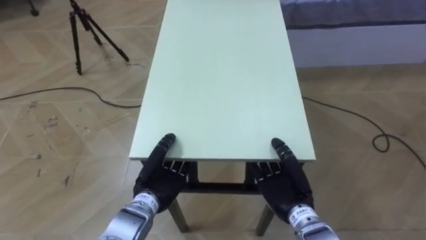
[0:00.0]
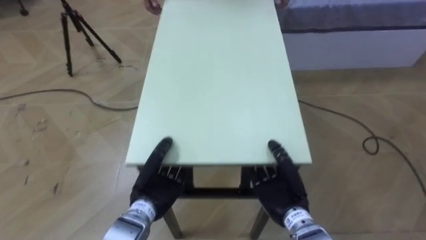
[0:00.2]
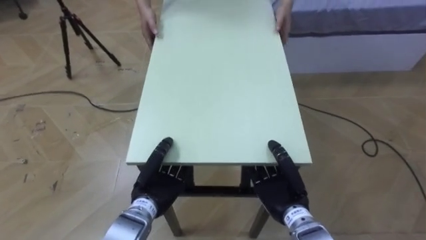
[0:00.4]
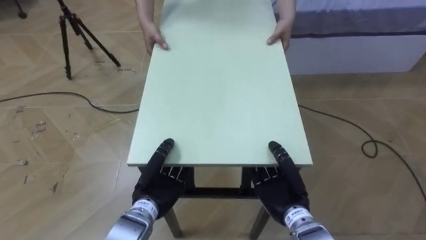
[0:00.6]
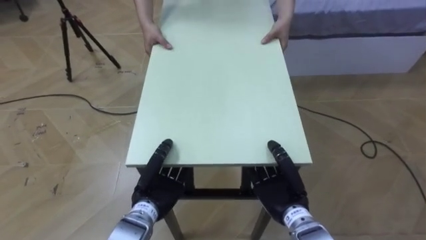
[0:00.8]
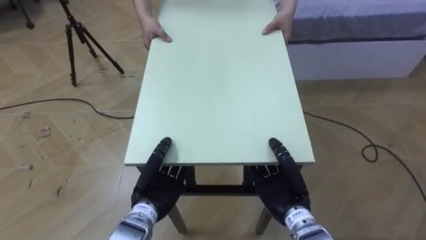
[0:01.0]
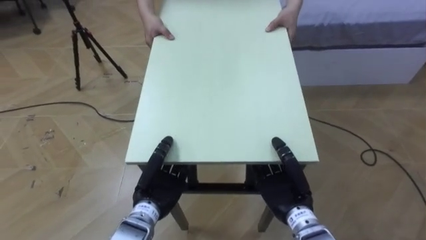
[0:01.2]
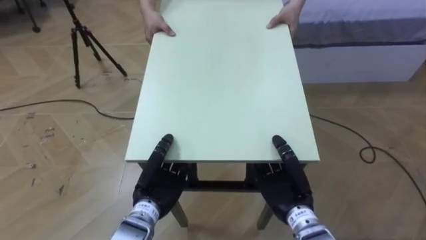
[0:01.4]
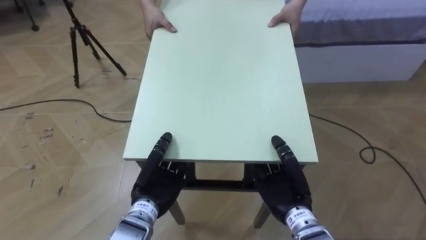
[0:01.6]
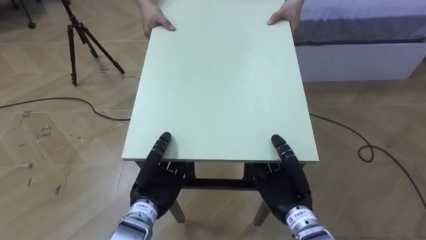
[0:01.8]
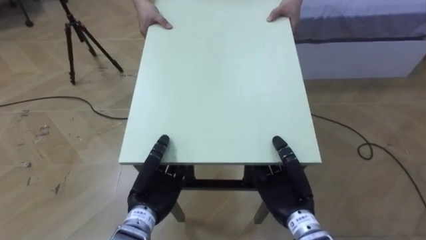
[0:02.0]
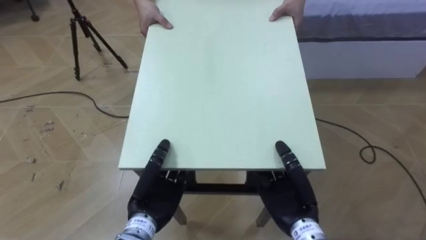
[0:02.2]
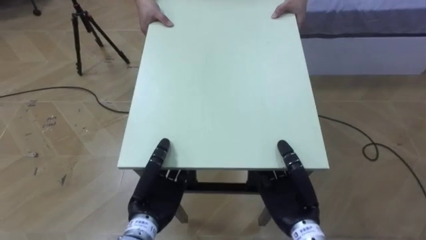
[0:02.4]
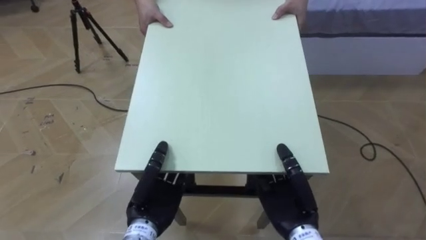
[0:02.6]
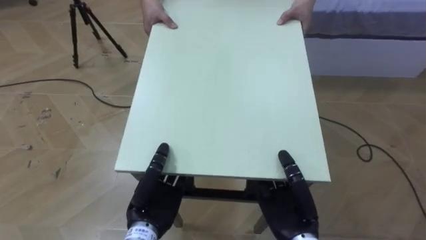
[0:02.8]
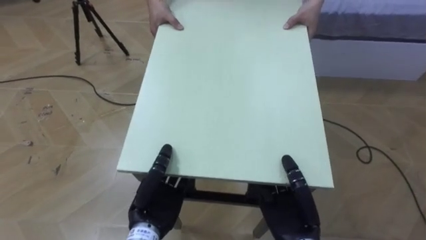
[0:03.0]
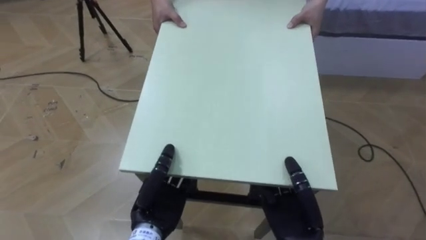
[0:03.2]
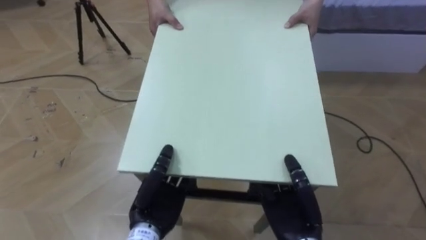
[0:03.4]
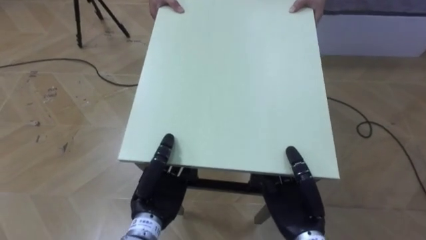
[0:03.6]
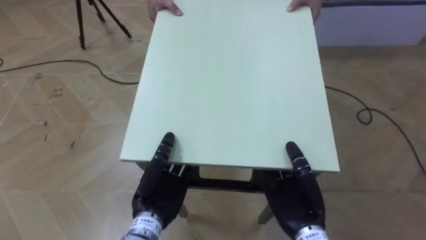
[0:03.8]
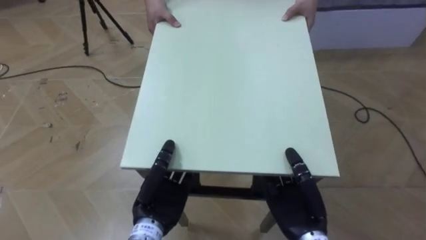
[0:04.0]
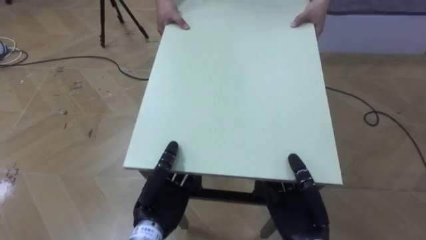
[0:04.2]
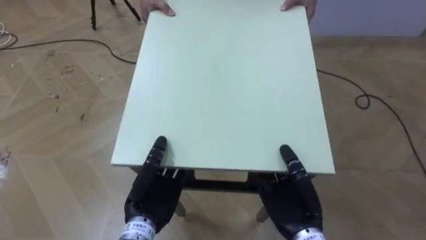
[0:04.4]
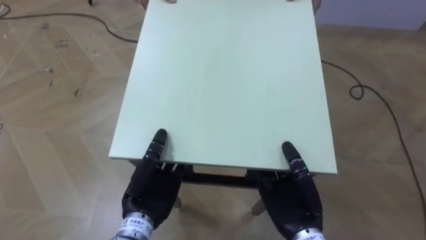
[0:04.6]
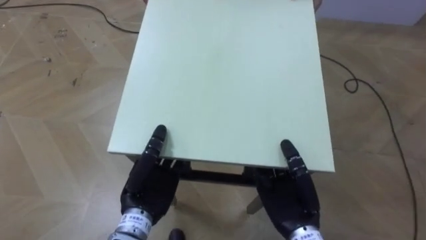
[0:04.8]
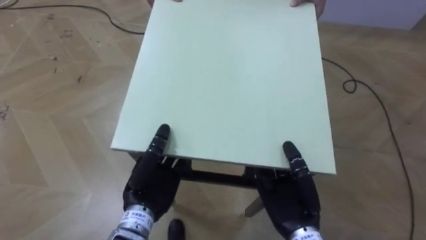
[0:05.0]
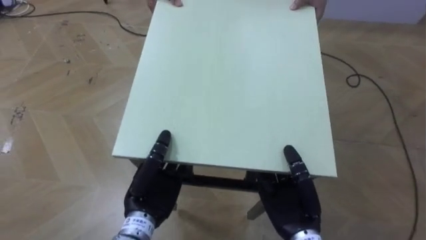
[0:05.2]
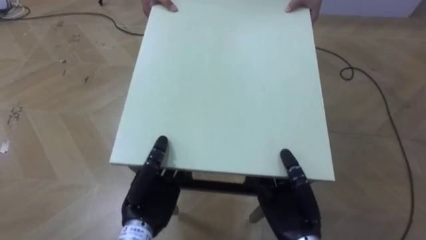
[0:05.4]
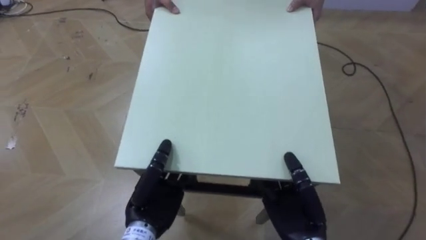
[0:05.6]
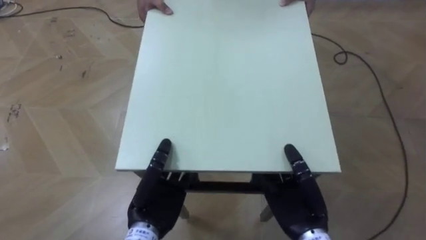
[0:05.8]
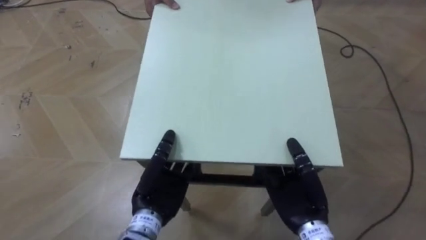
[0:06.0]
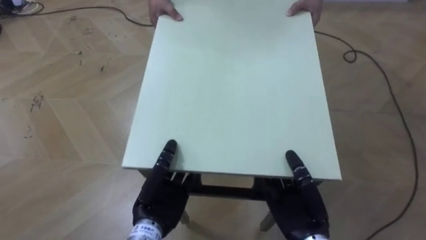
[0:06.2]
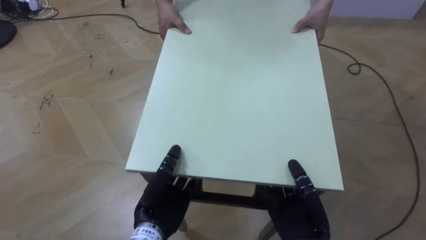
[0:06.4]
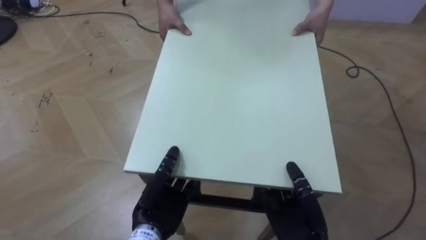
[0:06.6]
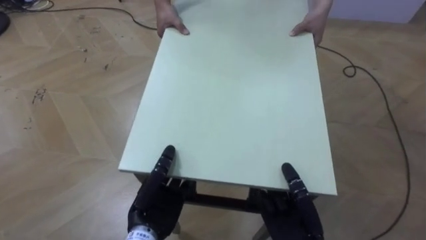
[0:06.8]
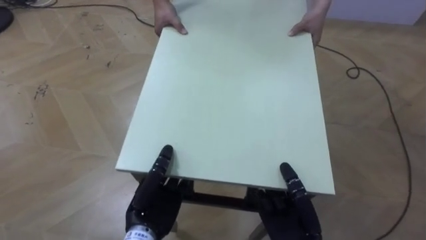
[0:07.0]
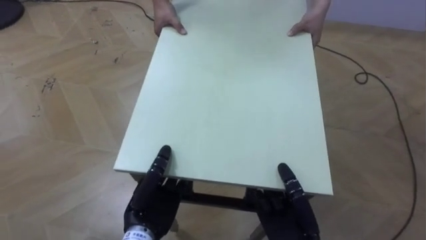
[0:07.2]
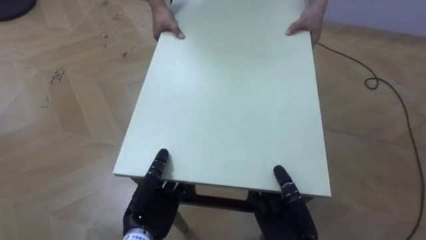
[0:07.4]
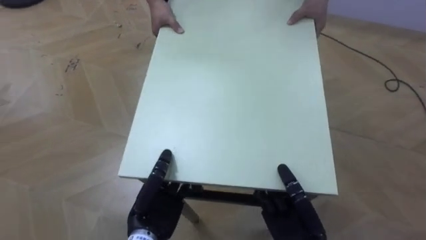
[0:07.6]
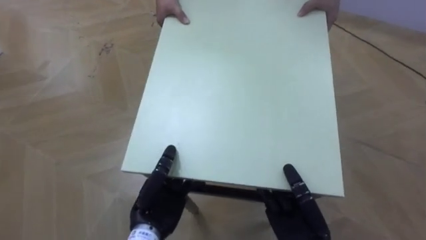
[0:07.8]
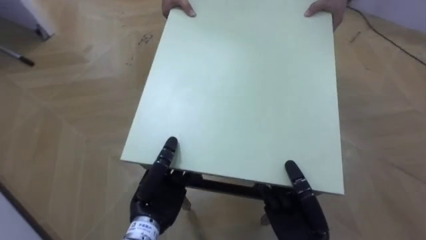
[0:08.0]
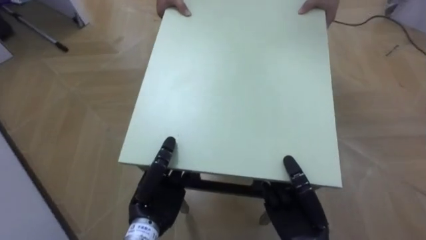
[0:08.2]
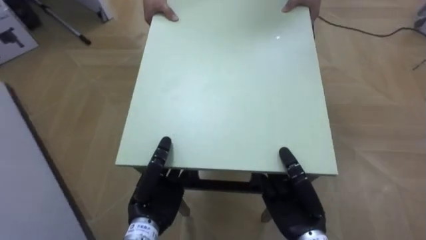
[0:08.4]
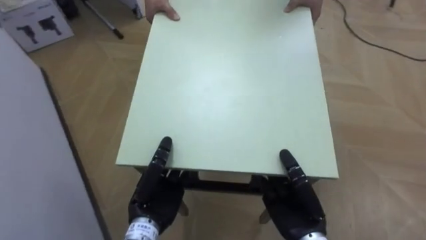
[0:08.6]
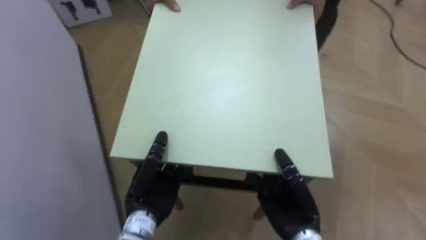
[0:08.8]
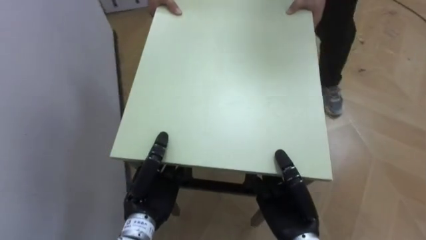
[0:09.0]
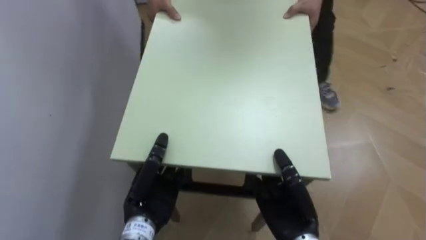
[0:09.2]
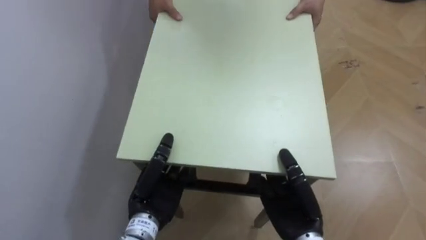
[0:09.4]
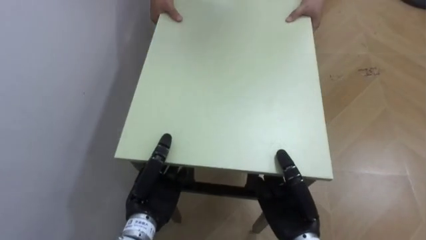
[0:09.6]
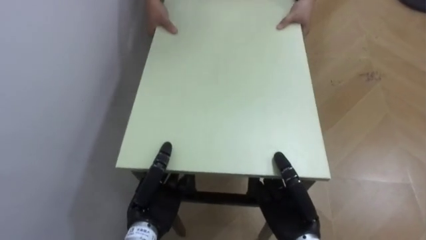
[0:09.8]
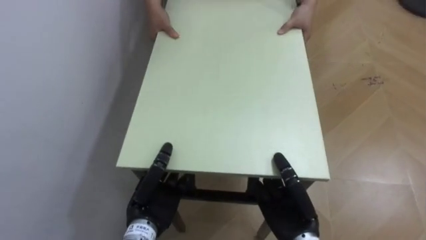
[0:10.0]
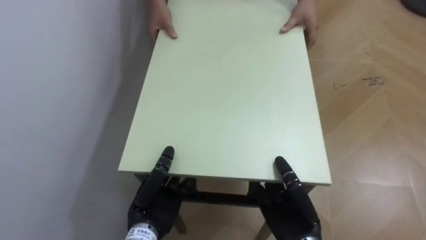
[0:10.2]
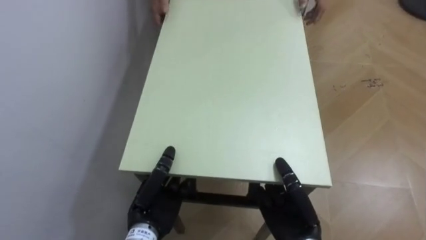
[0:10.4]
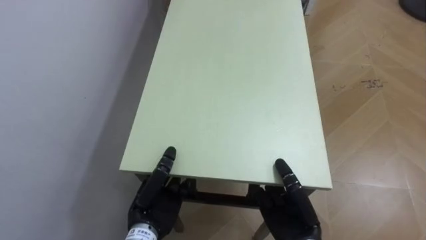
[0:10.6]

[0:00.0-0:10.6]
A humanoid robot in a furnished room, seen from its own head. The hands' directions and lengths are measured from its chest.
Task of the whole recording: Move the table to the back left with someone.
0:07.6 to 0:09.0: The robot's body swings about 55 degrees to its left.
0:09.0 to 0:10.6: The robot rotates roughly 25 degrees to its left.

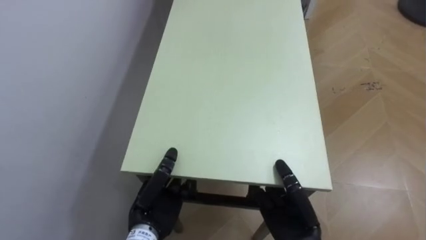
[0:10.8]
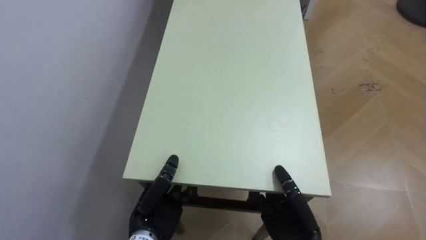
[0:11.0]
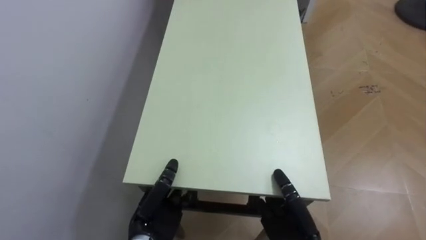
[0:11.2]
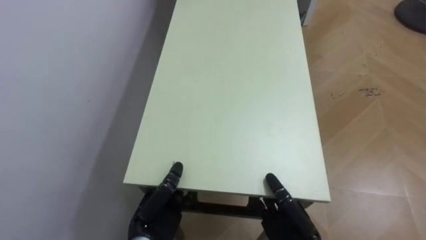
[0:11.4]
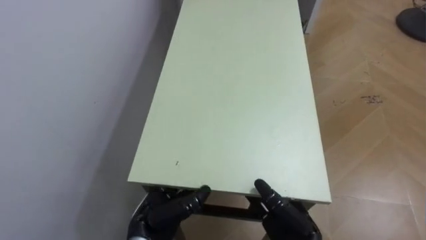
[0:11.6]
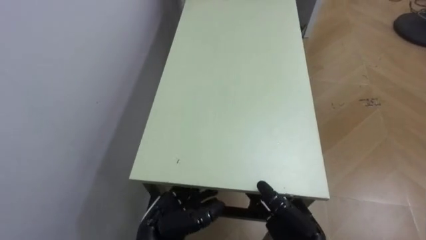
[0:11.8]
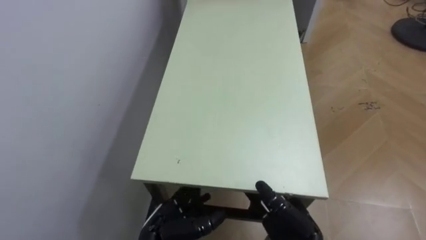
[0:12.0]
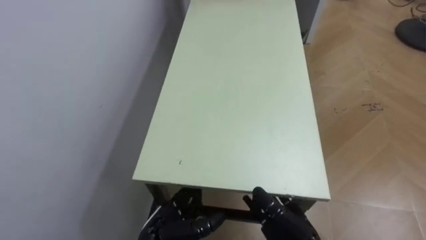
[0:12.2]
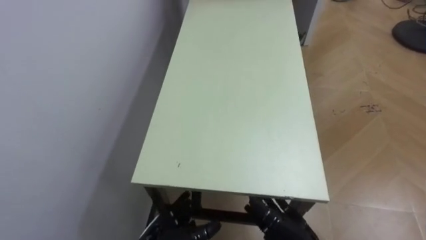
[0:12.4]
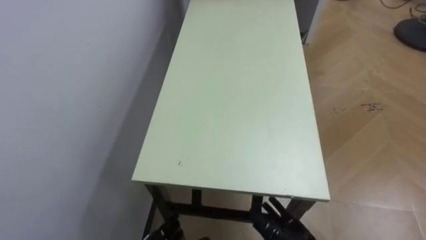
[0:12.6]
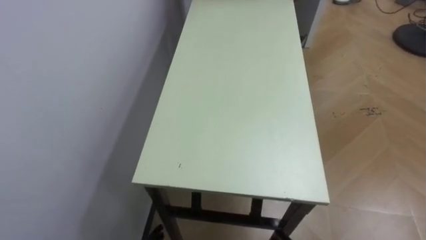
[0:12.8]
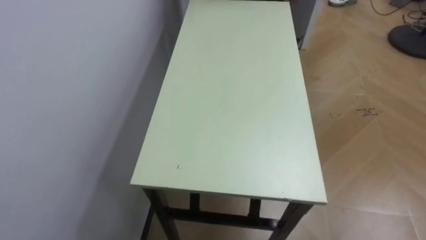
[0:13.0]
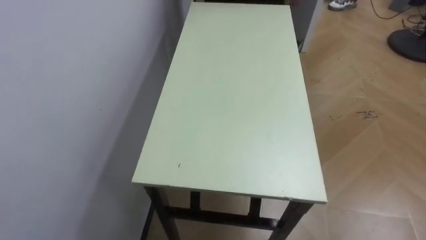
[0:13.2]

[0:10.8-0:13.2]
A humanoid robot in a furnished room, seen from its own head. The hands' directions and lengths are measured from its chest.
Task of the whole recording: Move the table to the back left with someone.
0:10.8 to 0:12.0: The left hand ends up some 5 cm from where it was, and opens; the right hand opens up.

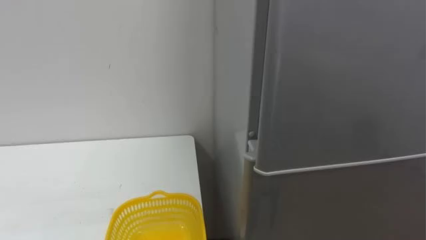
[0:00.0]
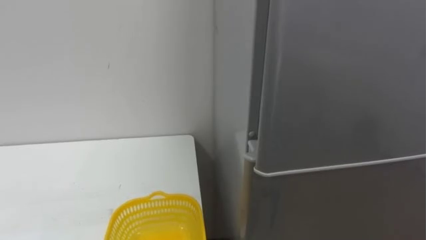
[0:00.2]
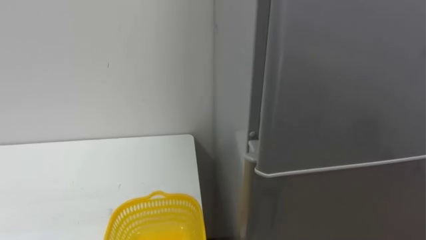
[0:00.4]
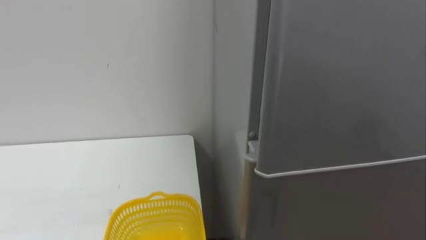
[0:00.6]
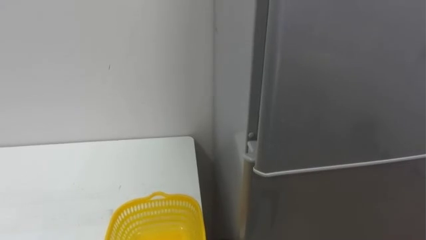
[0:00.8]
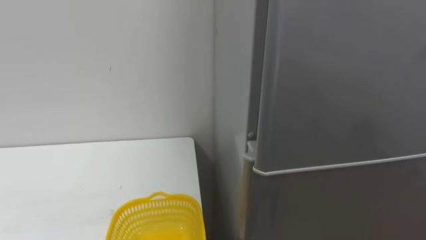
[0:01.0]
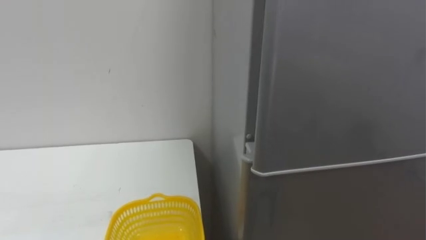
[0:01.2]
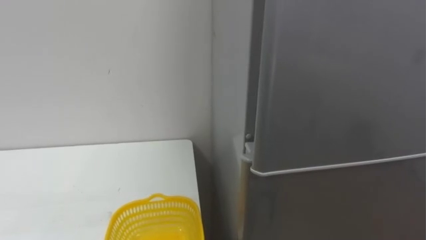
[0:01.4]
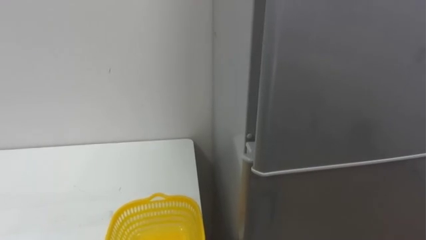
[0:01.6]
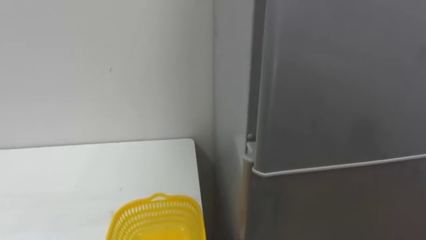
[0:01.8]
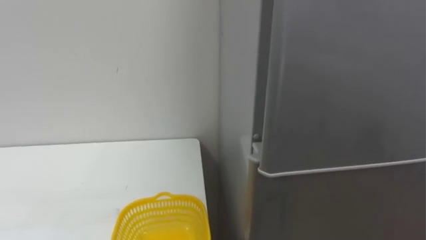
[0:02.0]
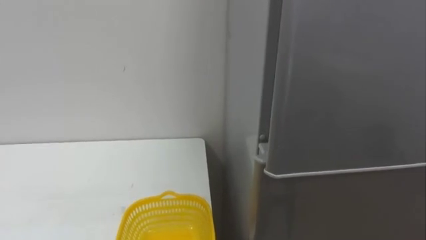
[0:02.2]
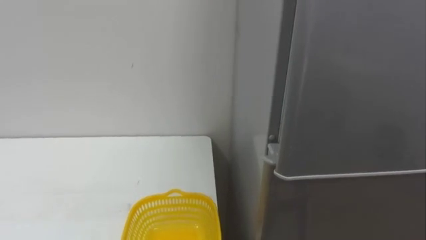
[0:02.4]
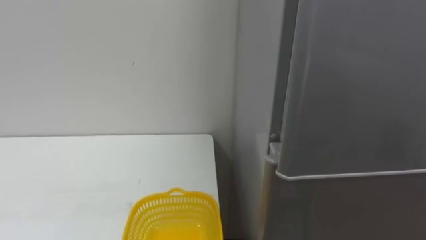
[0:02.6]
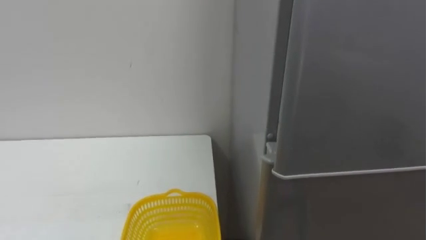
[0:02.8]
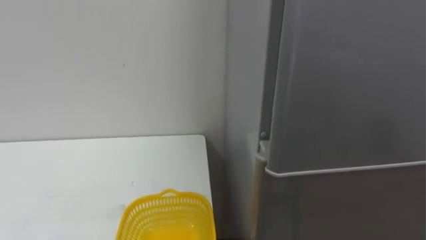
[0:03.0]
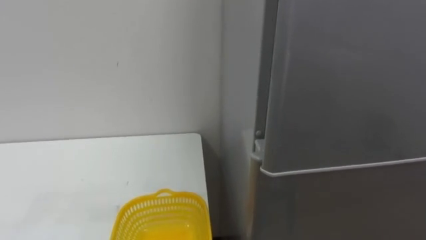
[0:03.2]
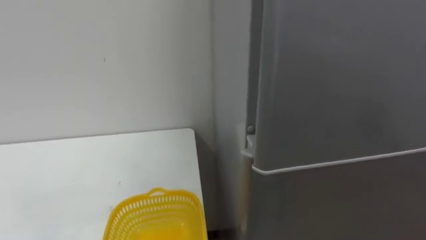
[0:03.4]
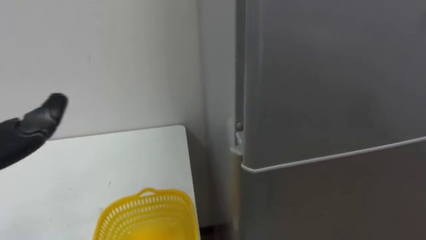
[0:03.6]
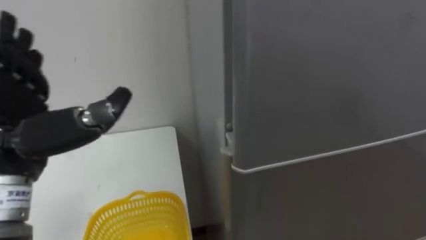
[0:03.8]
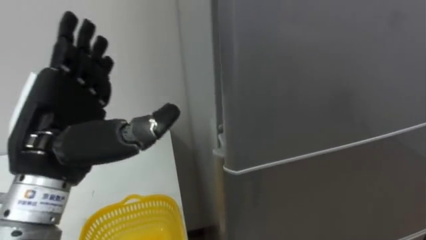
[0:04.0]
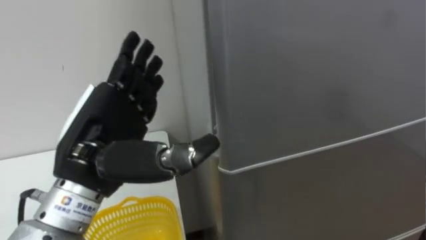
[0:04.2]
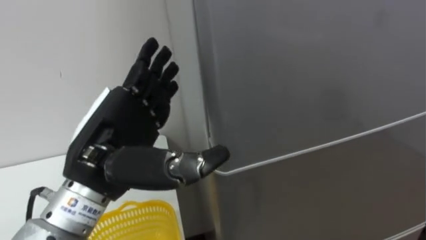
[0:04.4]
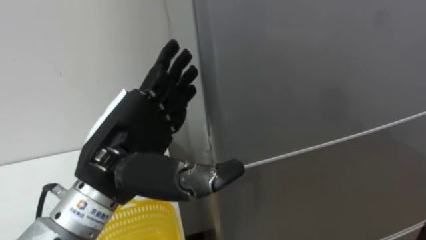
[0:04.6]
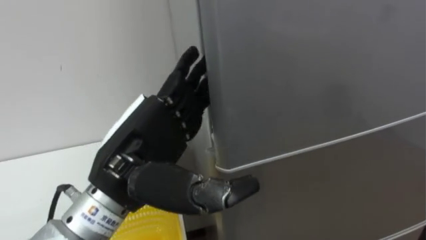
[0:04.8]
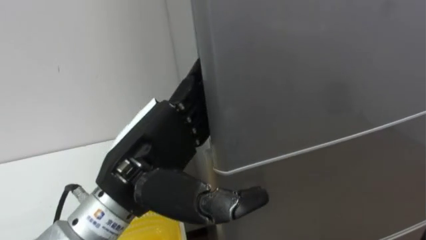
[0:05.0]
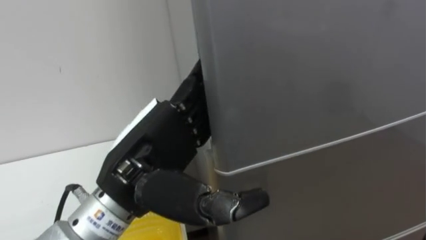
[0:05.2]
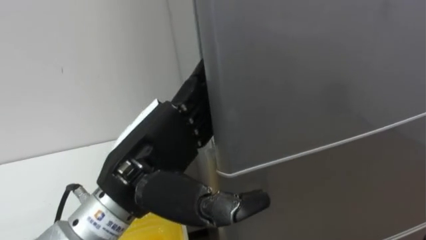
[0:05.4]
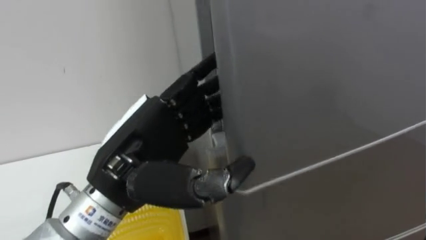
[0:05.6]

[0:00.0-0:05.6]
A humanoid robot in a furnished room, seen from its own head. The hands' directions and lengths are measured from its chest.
Task of the whole recording: Open the refrigerator door, take out the apple and the pomegranate, place them in the fruit basket on the left, and close the refrigerator door.
0:04.2 to 0:05.6: The left hand goes approximately 5 cm to the right.
